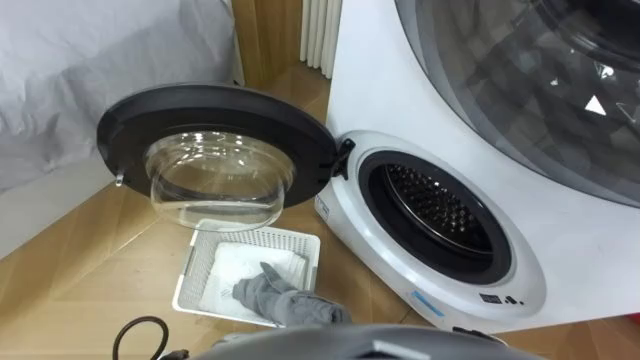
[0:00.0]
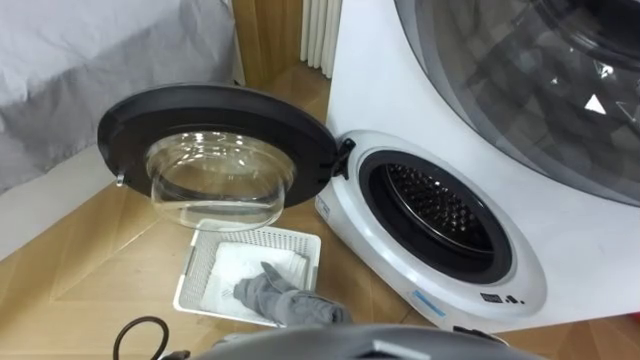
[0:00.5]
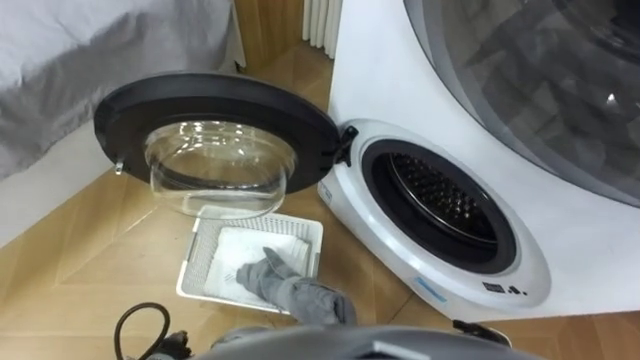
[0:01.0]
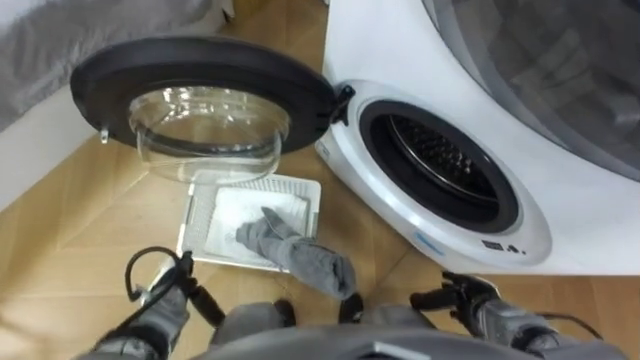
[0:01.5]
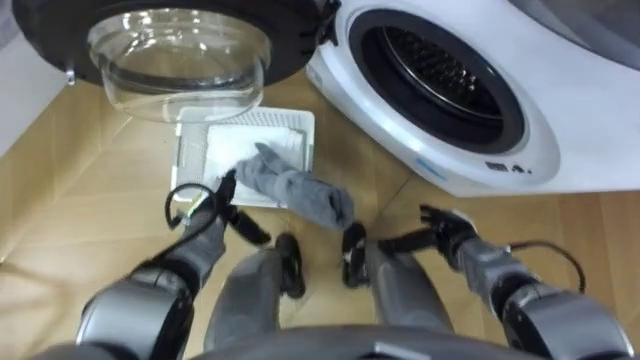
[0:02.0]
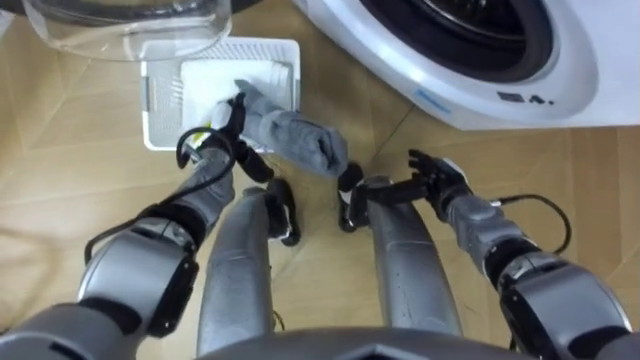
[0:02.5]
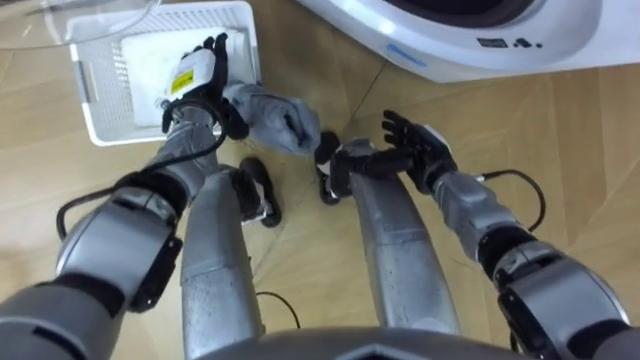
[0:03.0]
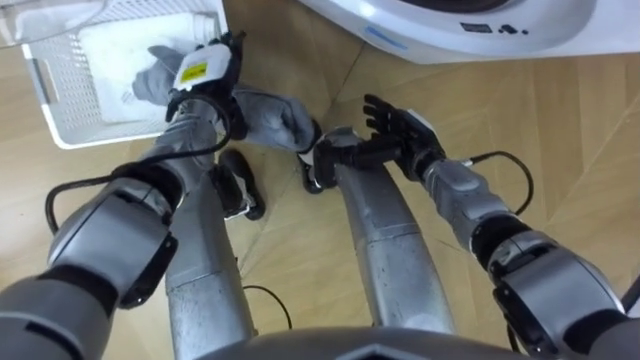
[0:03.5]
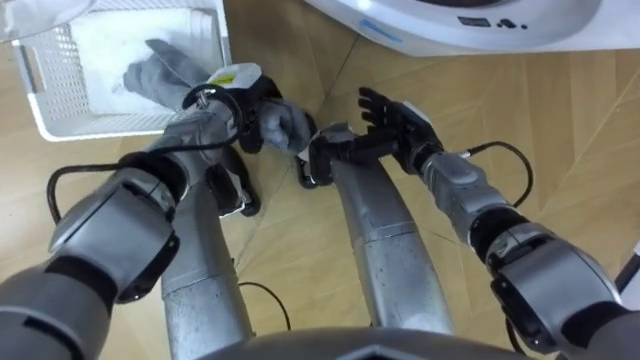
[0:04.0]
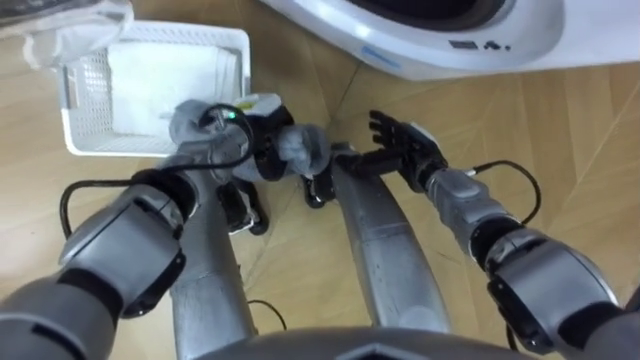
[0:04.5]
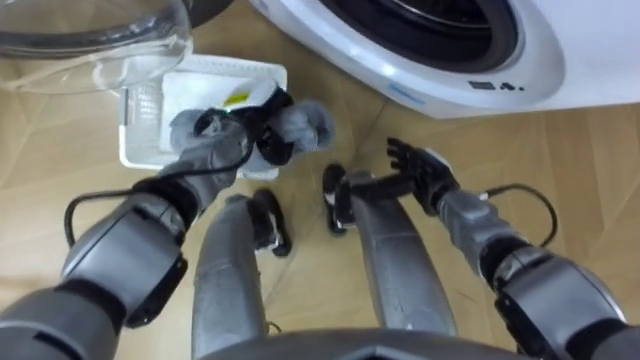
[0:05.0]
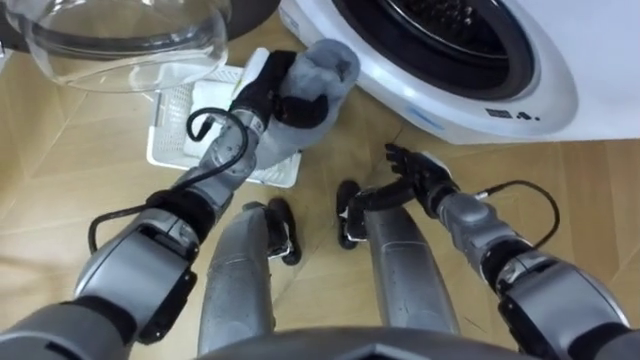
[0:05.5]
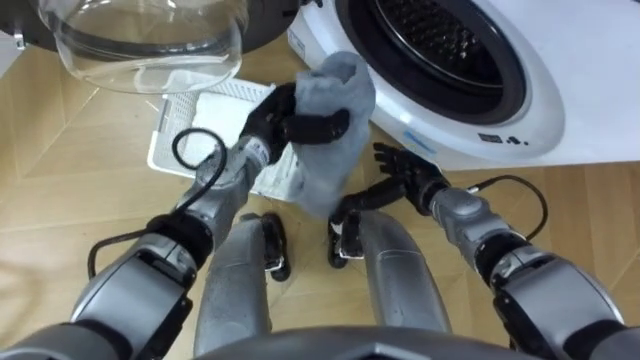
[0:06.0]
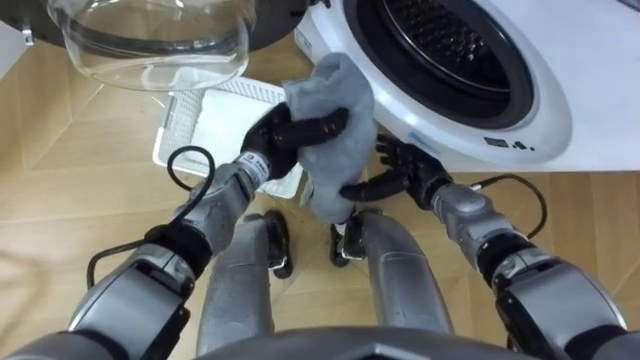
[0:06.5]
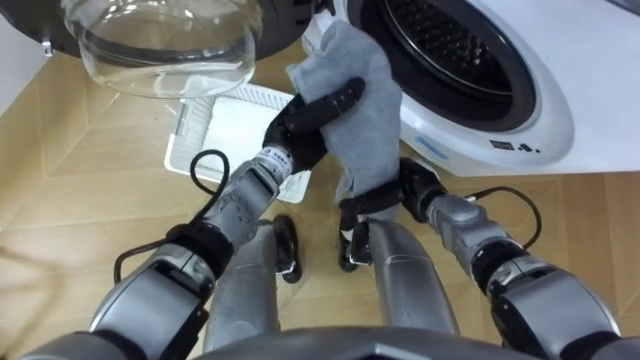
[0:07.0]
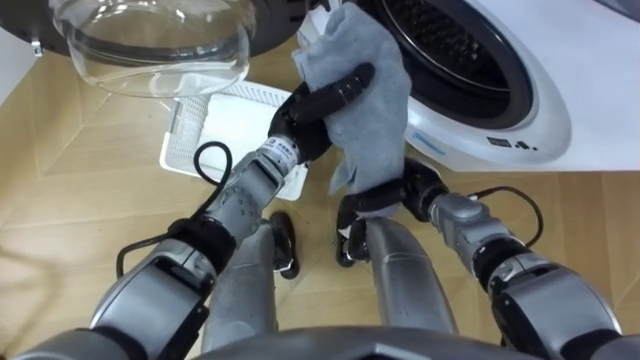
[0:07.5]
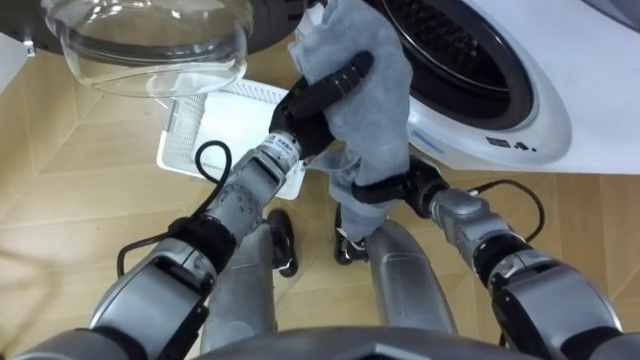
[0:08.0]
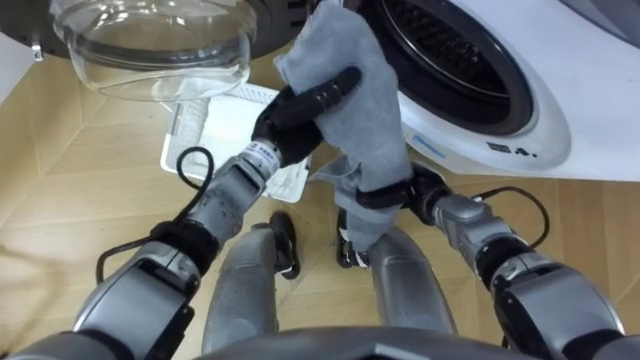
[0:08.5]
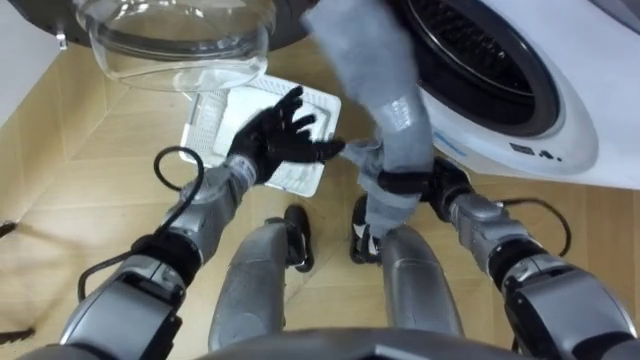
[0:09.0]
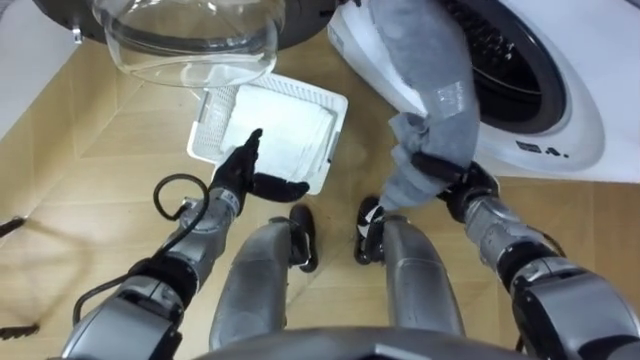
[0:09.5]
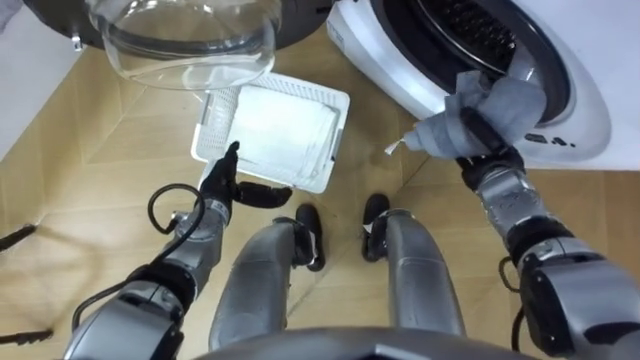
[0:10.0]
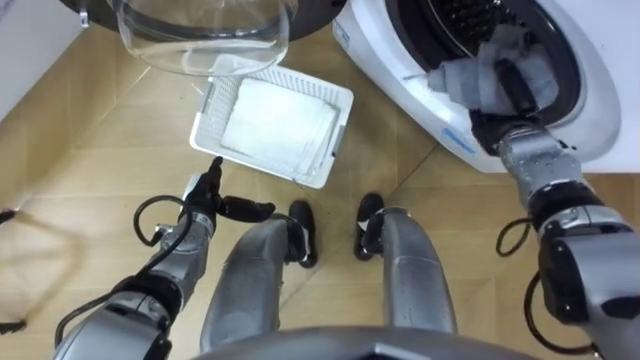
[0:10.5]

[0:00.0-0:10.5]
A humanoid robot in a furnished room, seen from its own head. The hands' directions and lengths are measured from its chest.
Task of the whole recording: Take the towel from the basket and put it into the washing machine.
0:02.0 to 0:04.0: The left hand is displaced forward and upward by approximately 15 cm, and closes its fingers. The right hand is displaced forward, upward and to the left by approximately 20 cm.
0:04.0 to 0:06.5: The left hand goes roughly 10 cm to the right and backward; the right hand moves some 5 cm.
0:06.5 to 0:08.5: The right hand closes.
0:08.5 to 0:10.5: The left hand shifts about 20 cm to the left, downward and backward, and opens; the right hand travels to the right, forward and upward by approximately 15 cm.

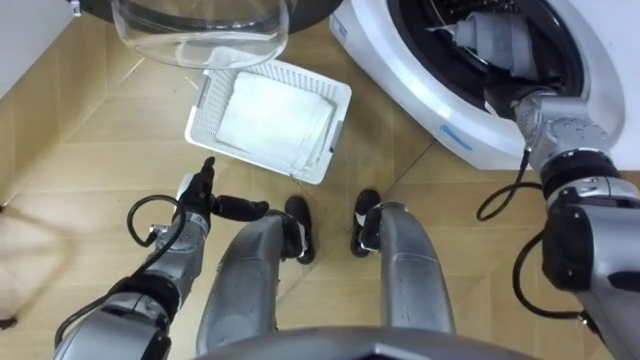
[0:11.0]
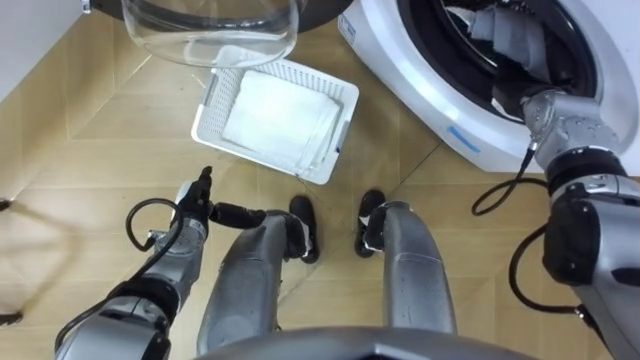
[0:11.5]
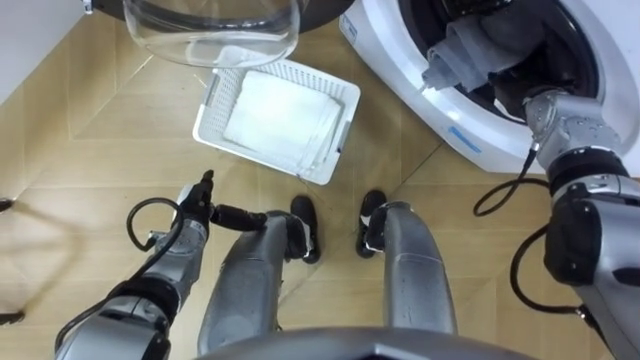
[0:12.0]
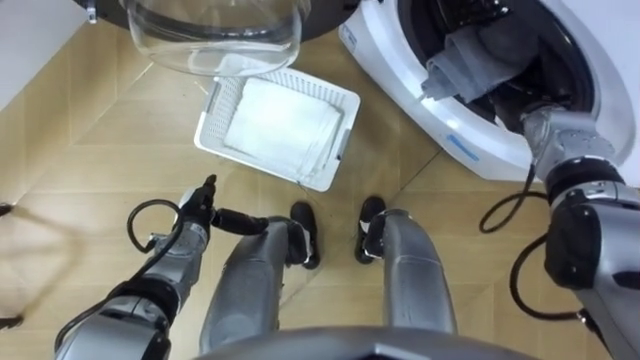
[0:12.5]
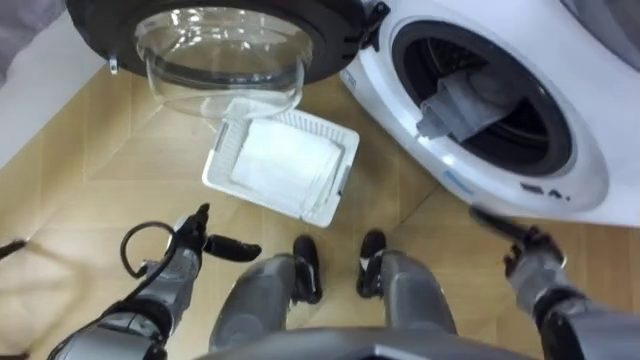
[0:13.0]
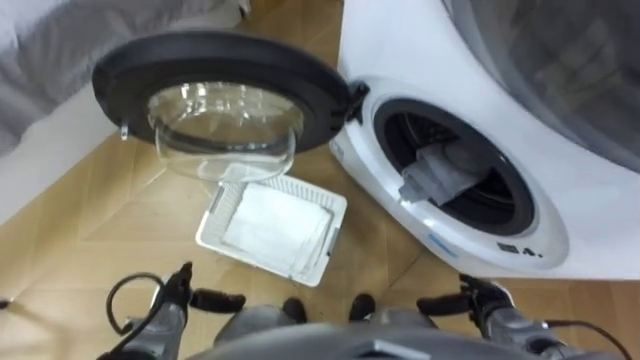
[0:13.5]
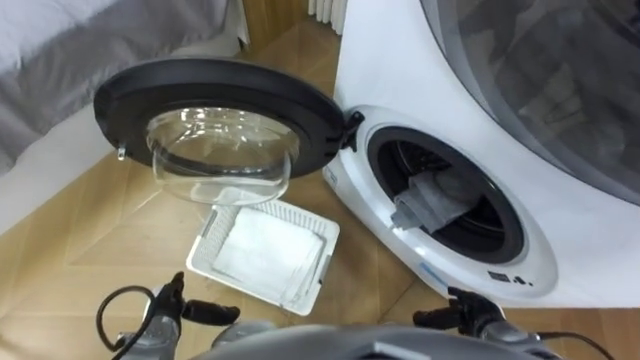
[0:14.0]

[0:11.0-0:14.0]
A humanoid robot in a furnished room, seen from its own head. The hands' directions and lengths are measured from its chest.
Task of the whole recording: Take the towel from the basket and put it into the washing machine.
0:11.0 to 0:12.5: The right hand opens its fingers.
0:12.5 to 0:14.0: The left hand goes roughly 15 cm backward. Meanwhile the right hand goes about 35 cm backward and downward.

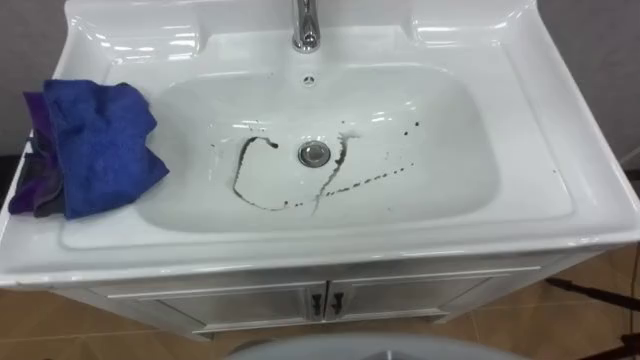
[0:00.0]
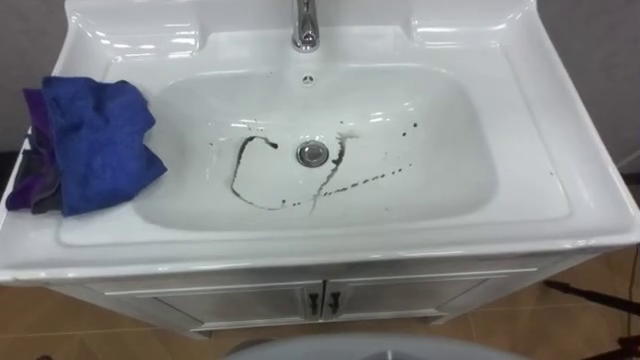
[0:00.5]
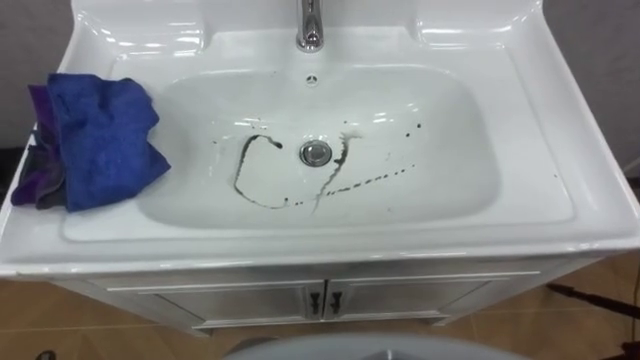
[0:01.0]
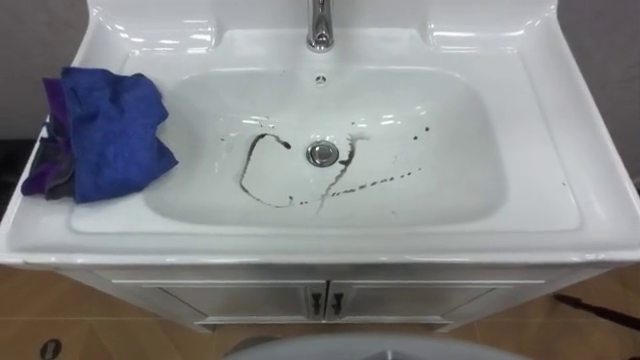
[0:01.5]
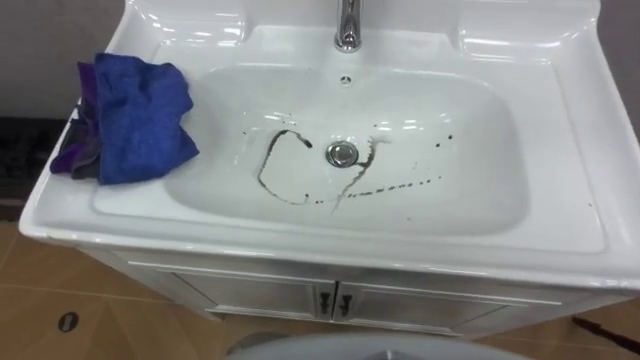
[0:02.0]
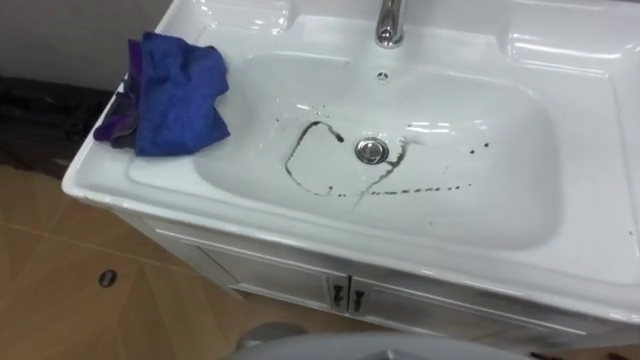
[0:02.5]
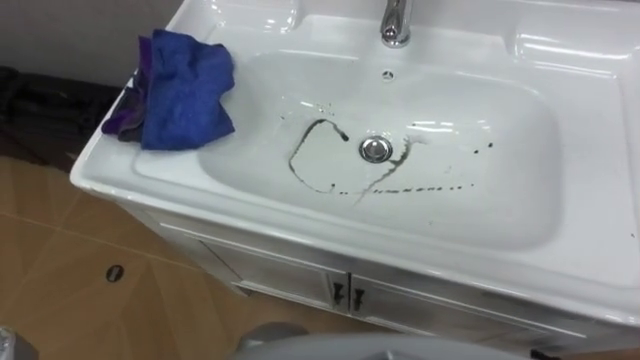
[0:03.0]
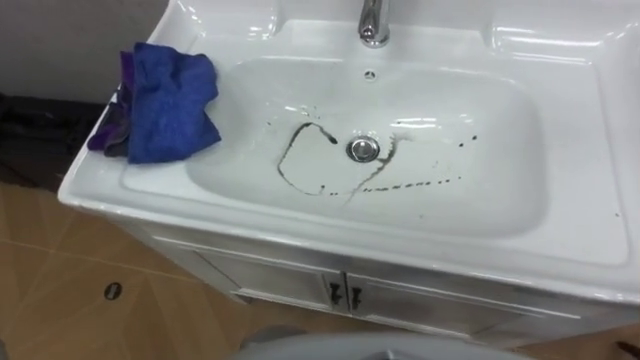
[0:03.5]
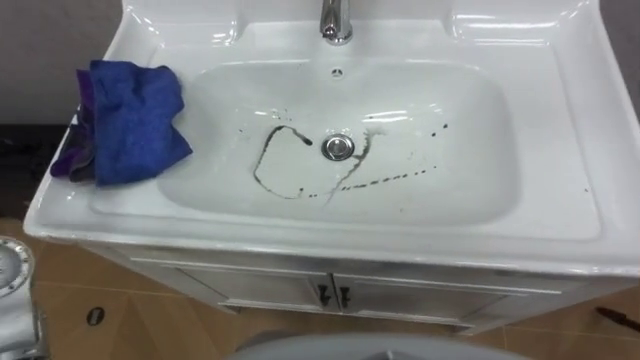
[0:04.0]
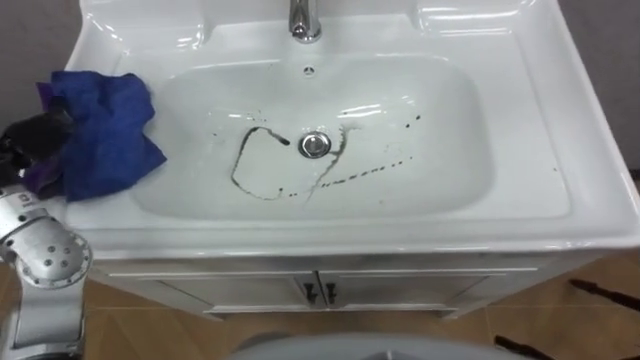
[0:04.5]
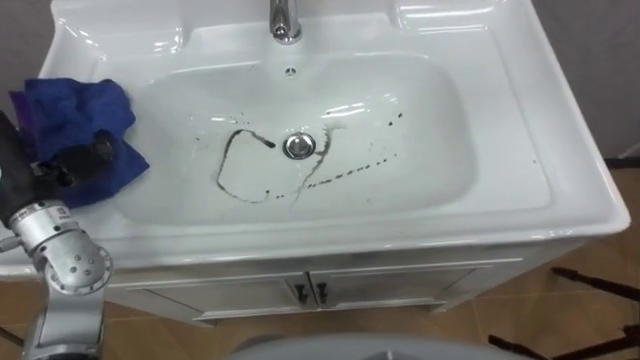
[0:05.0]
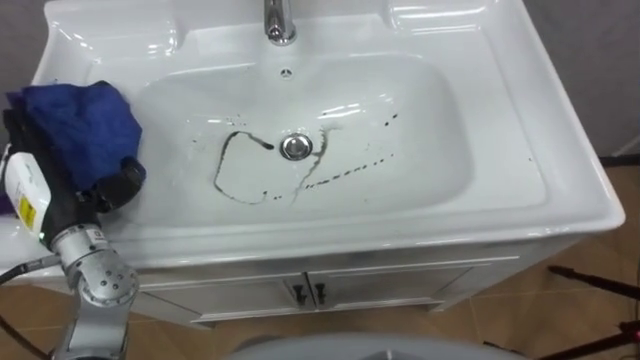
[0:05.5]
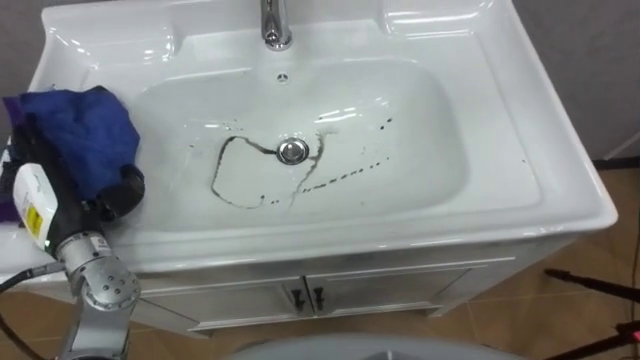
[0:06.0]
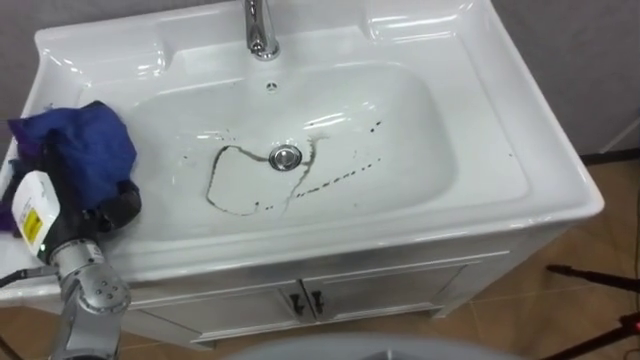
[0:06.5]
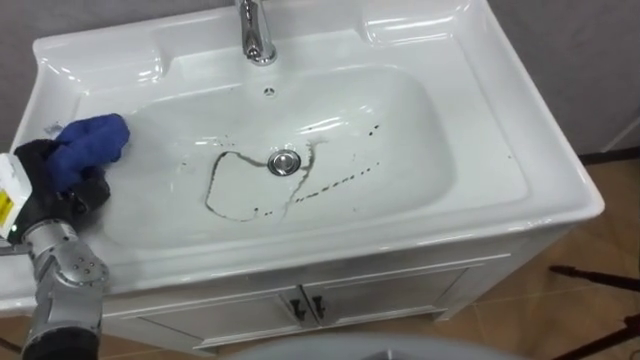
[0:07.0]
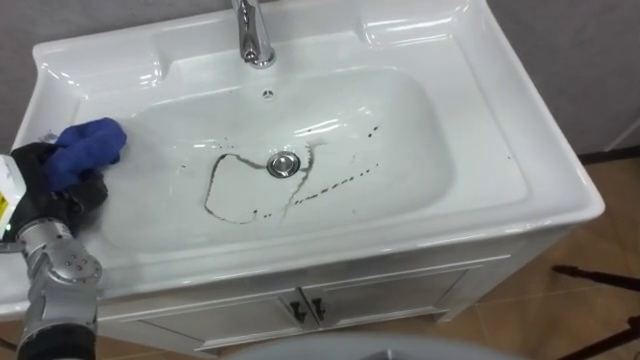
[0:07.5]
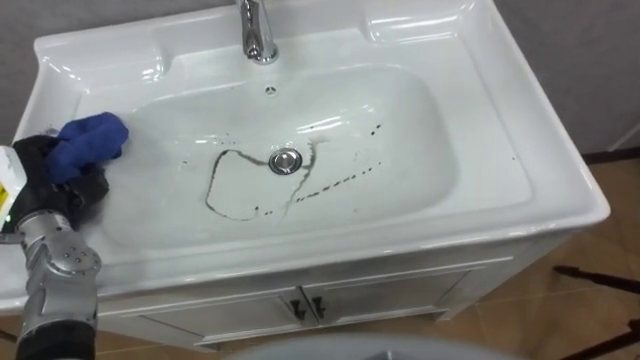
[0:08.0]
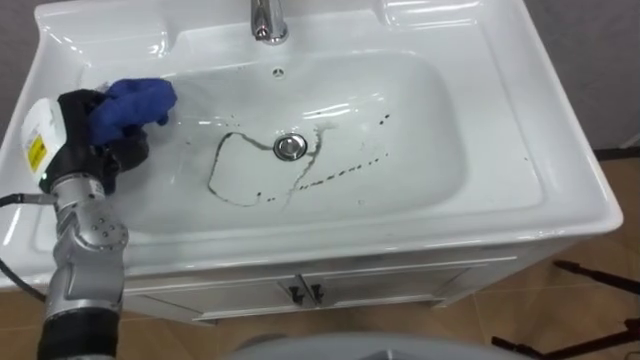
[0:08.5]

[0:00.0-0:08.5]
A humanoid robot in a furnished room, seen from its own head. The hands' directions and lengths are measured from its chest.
Task of the whole recording: Use the cloth on the right to wipe away the black stain in the sink.
0:06.5 to 0:08.5: The left hand is displaced forward and upward by approximately 10 cm, and closes up.
